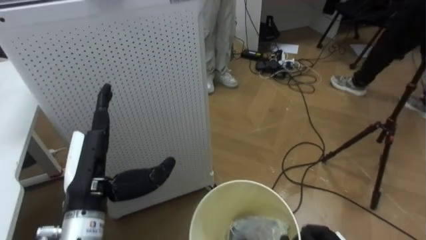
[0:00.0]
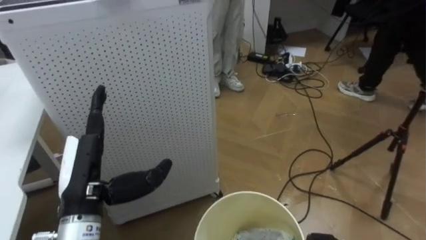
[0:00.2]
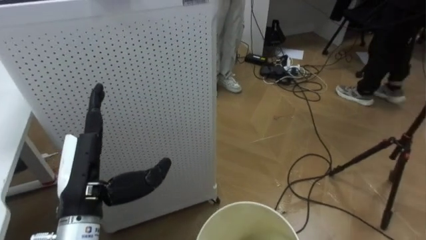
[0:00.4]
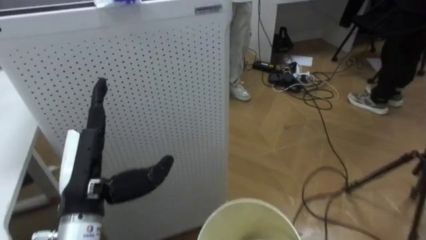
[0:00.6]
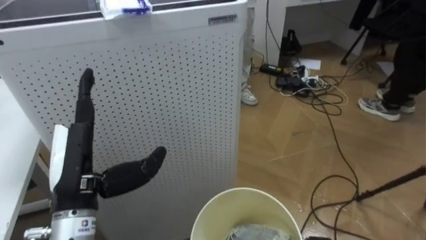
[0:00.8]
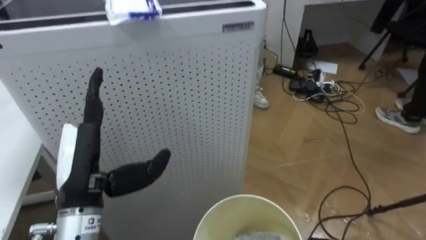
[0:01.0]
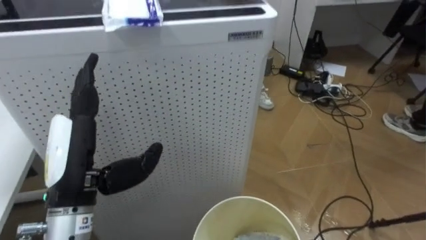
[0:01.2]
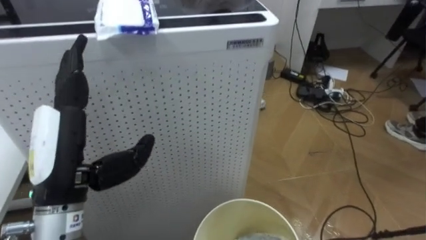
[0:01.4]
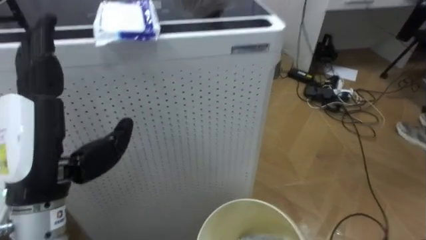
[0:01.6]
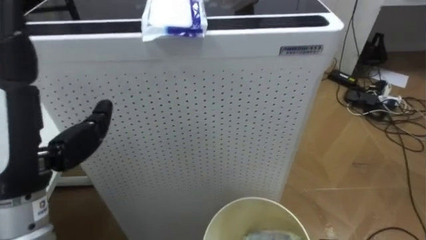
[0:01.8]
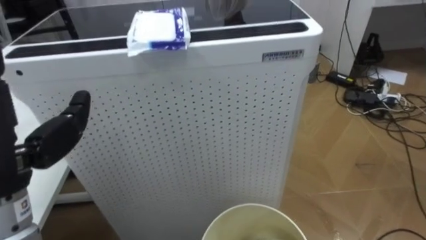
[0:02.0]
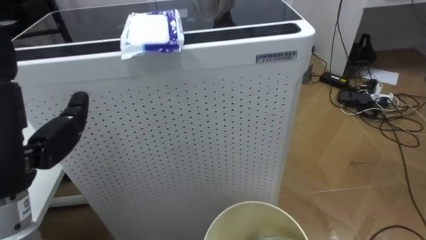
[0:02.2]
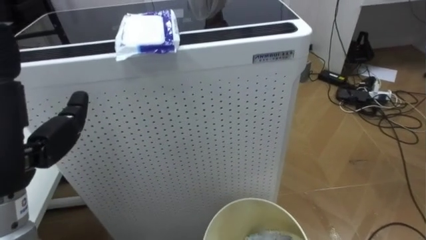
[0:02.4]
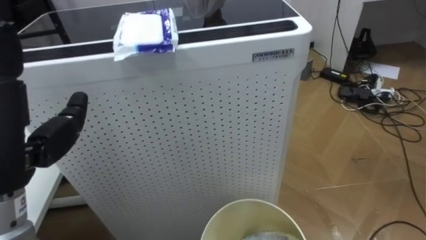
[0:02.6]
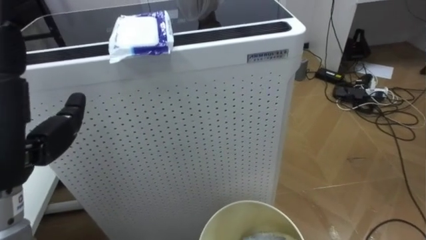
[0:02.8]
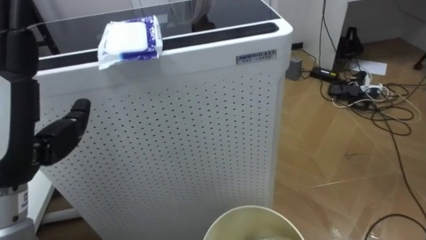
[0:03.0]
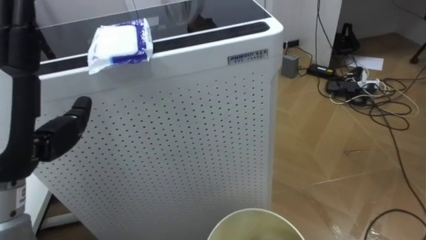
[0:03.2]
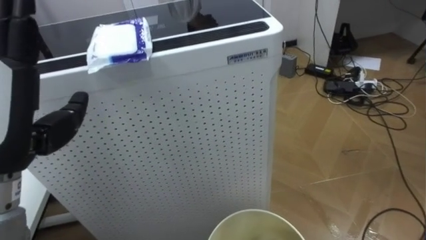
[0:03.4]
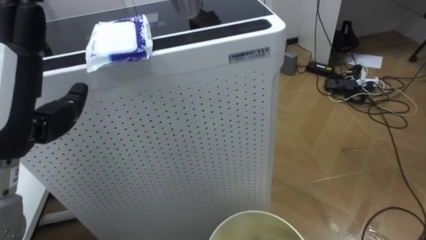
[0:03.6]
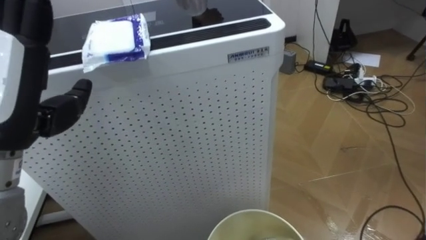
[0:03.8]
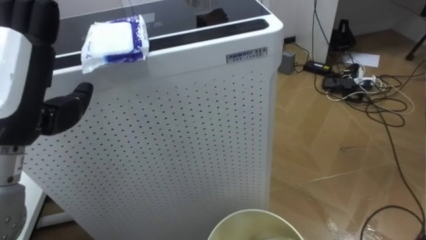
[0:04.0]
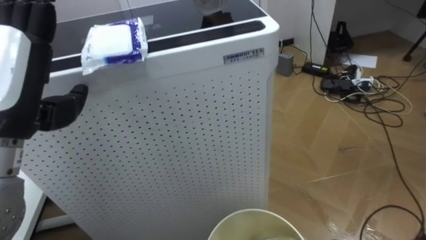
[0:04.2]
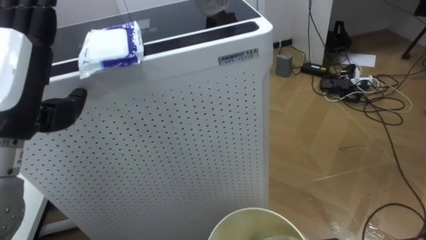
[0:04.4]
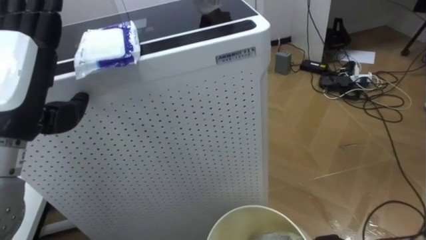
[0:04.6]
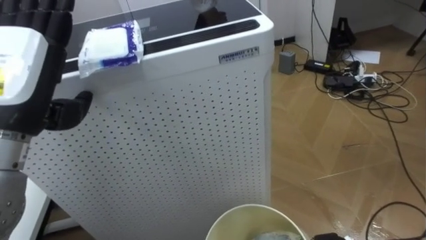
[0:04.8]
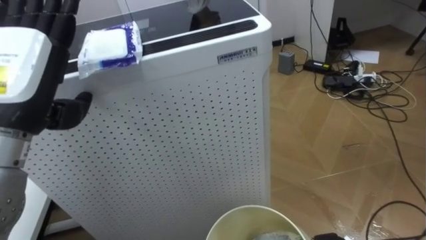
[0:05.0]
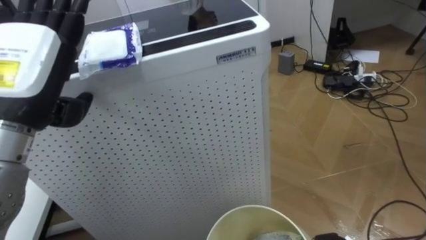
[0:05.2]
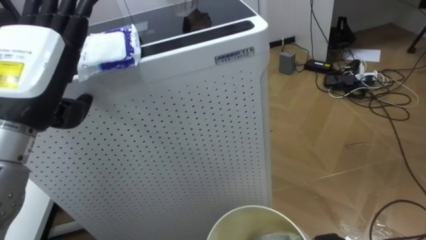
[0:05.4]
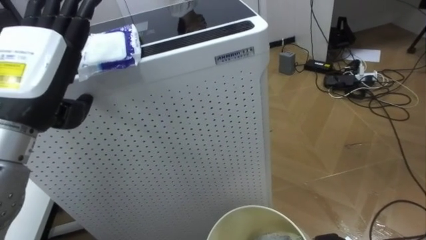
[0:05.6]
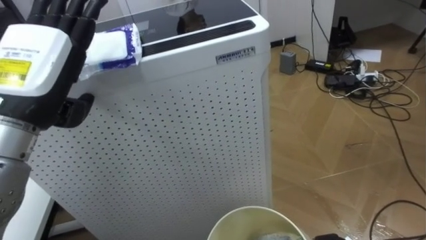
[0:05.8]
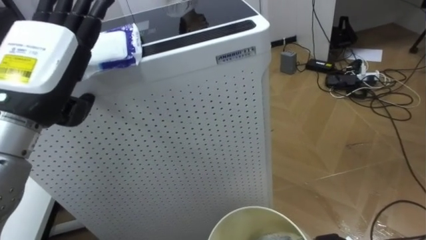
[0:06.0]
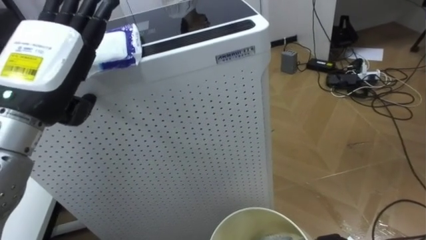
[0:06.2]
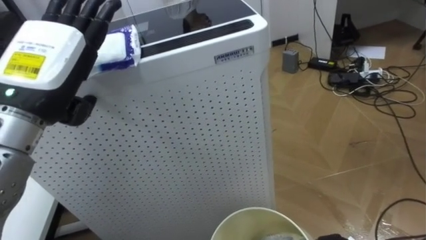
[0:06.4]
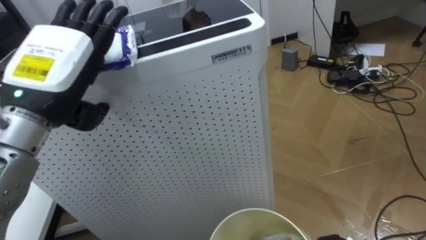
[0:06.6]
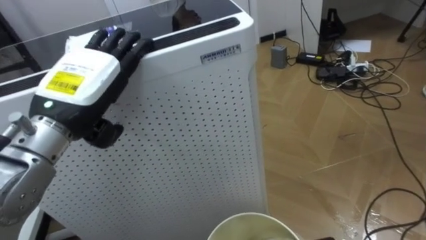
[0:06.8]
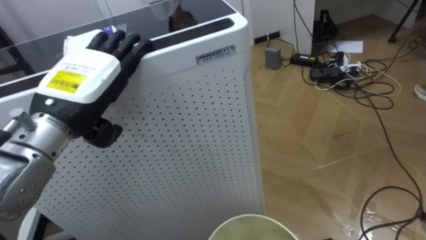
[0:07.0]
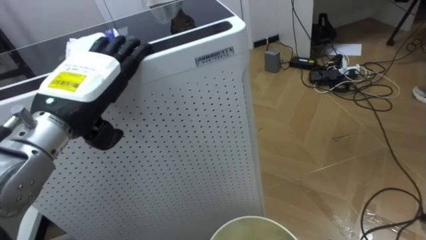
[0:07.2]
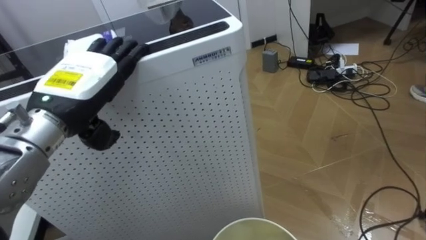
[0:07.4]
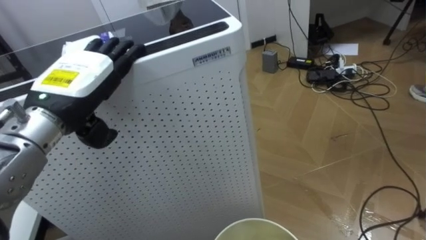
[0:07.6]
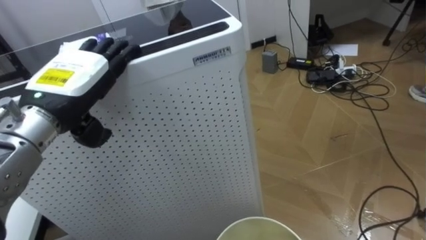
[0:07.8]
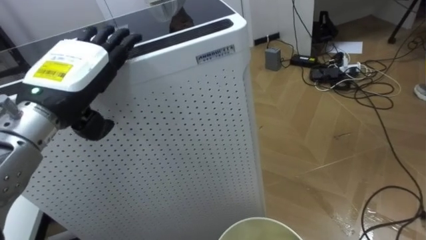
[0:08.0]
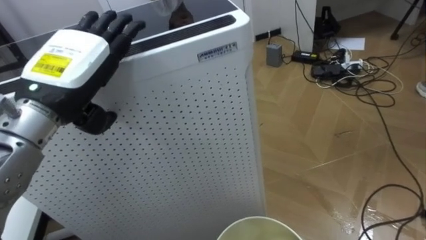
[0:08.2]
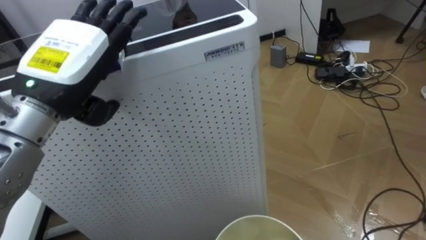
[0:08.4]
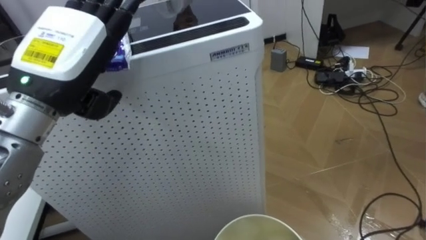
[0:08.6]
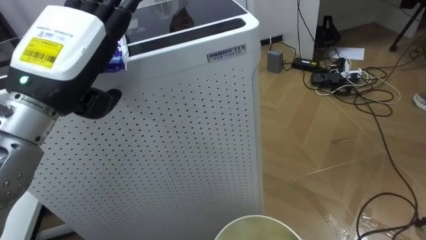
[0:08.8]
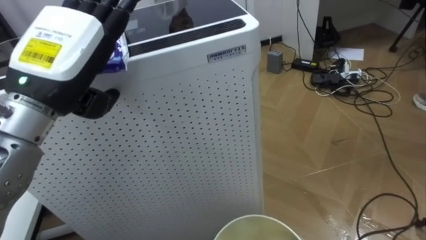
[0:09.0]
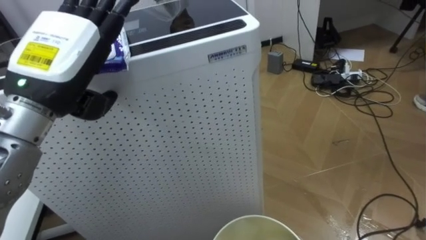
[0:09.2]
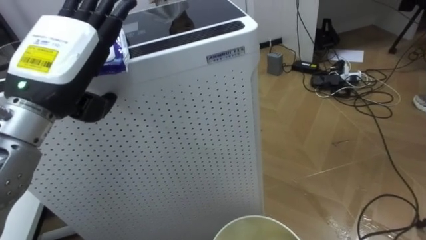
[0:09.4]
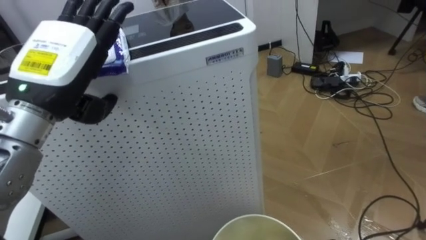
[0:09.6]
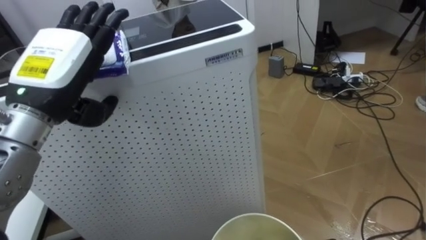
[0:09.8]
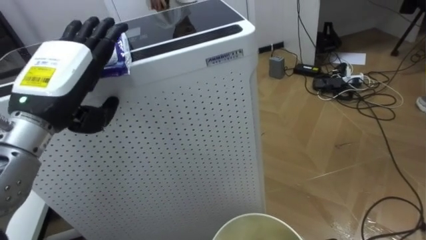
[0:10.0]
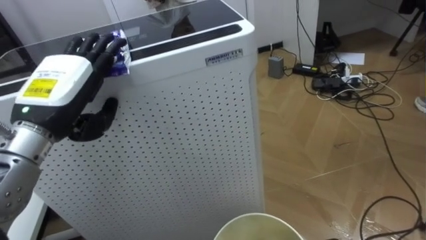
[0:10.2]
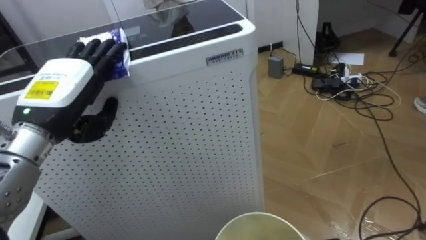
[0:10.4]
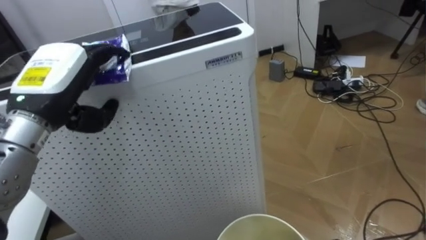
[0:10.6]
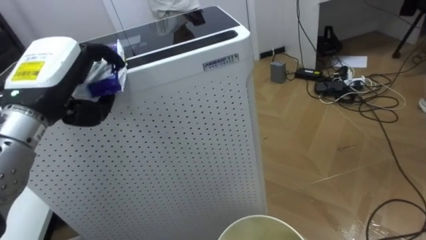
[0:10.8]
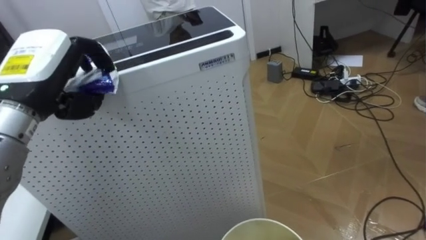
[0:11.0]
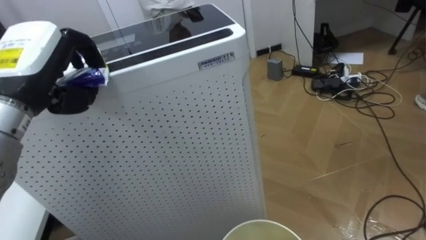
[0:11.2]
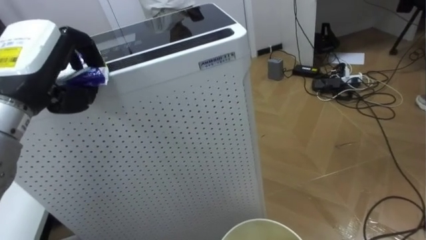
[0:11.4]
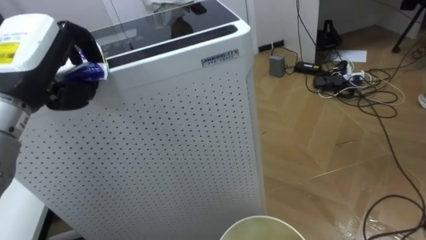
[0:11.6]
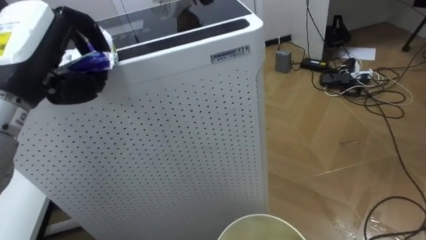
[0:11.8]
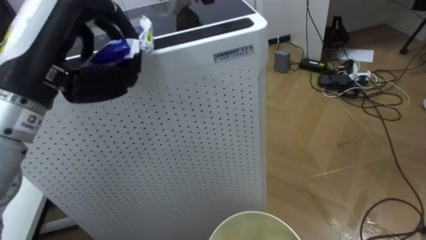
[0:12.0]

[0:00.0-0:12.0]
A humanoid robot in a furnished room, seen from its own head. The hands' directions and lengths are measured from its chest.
Task of the whole recording: Pick up the light blue package, the candy box, and the dark blue package separately, and put them into the trash can held in your right hand.
0:00.0 to 0:01.6: The left hand heads upward, covering approximately 10 cm.
0:06.0 to 0:07.6: The left hand shifts by roughly 5 cm.
0:07.6 to 0:09.0: The left hand shifts roughly 5 cm upward.
0:09.0 to 0:10.4: The left hand moves downward, roughly 5 cm.
0:10.4 to 0:12.0: The left hand goes some 10 cm upward, and closes.

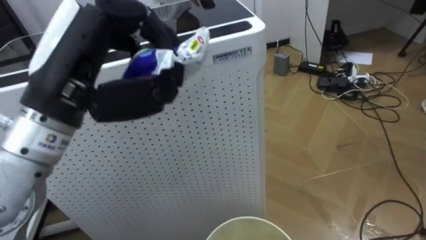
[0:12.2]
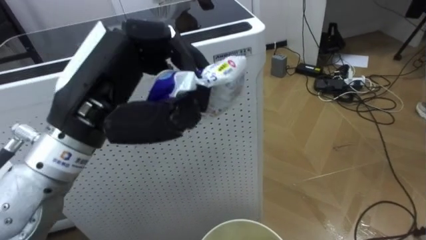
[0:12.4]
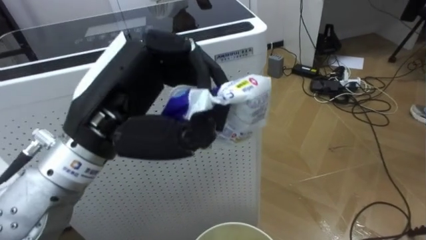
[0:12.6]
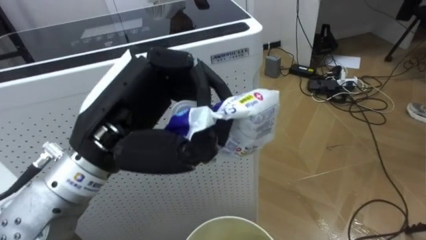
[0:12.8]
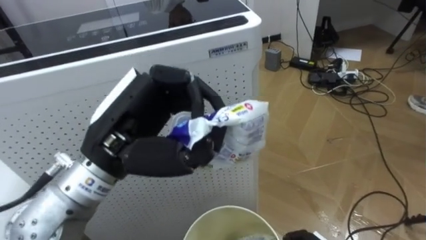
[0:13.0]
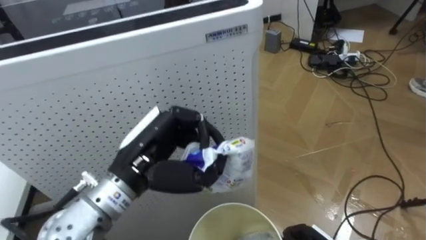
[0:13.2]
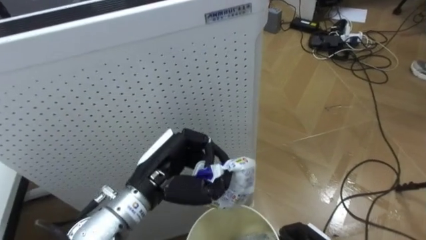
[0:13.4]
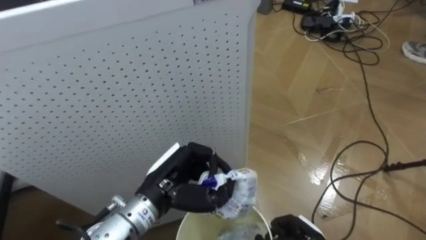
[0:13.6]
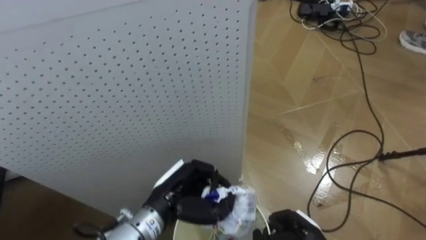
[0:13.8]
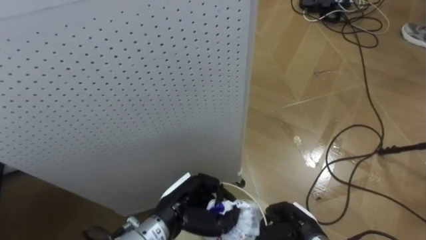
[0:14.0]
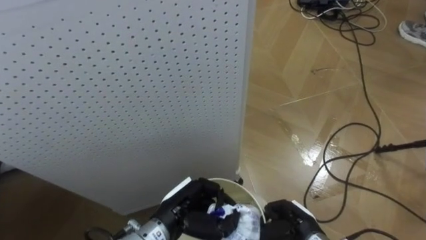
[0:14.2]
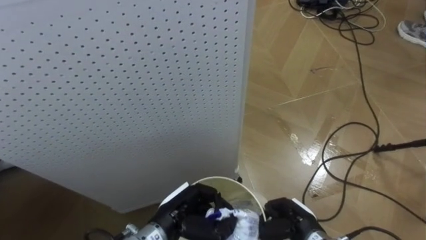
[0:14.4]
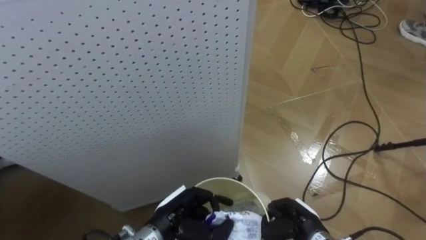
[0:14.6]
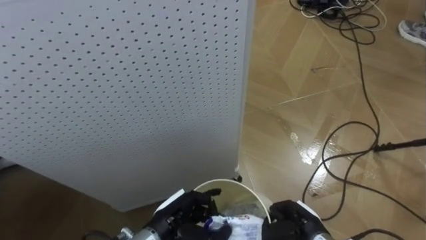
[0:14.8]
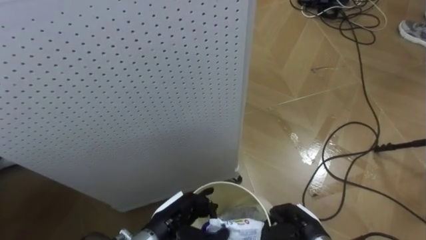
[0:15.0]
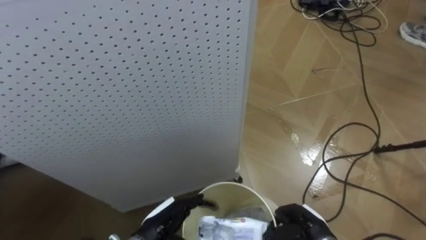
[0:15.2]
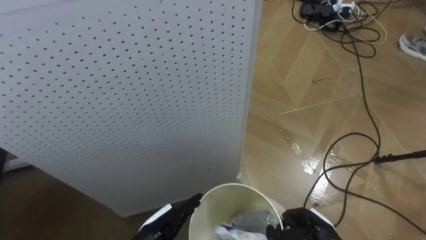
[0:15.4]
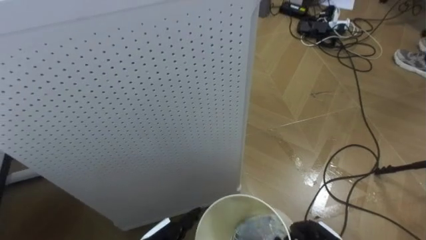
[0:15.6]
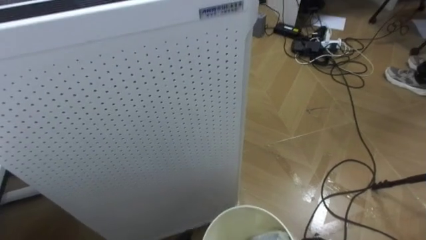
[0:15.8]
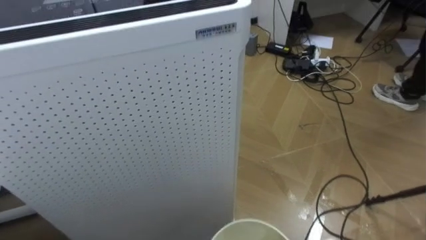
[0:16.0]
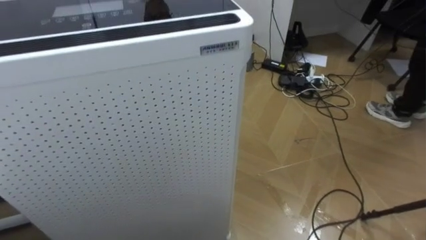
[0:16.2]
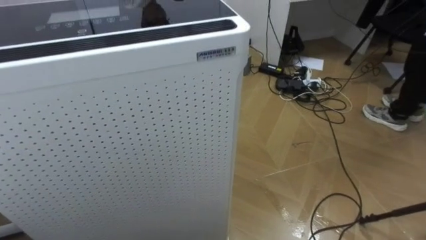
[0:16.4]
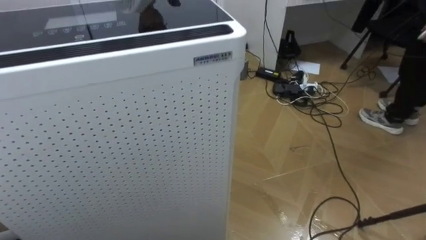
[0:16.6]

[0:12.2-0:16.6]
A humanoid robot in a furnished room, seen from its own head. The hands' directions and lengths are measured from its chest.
Task of the whole recording: Pick up the light blue package, the candy box, and the dark blue package separately, and put them into the trash can held in your right hand.
0:12.2 to 0:13.6: The left hand travels downward by approximately 20 cm.
0:13.6 to 0:15.2: The left hand shifts about 10 cm downward, and opens its fingers.
